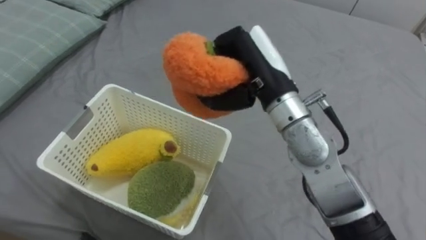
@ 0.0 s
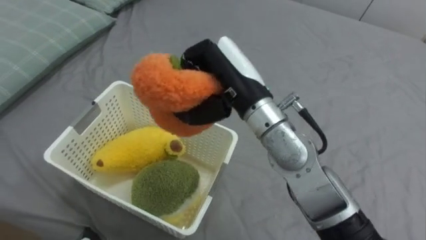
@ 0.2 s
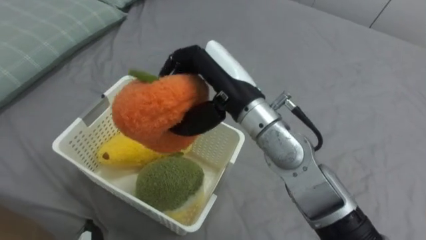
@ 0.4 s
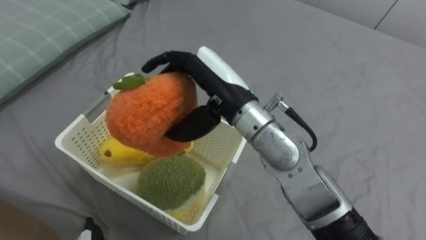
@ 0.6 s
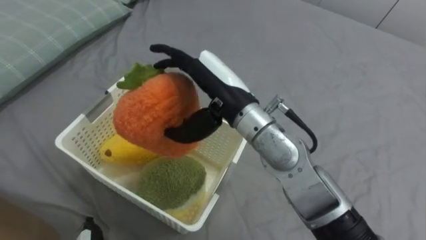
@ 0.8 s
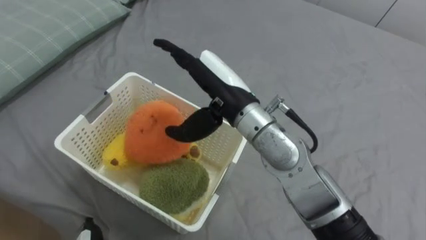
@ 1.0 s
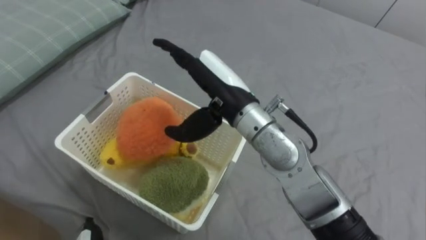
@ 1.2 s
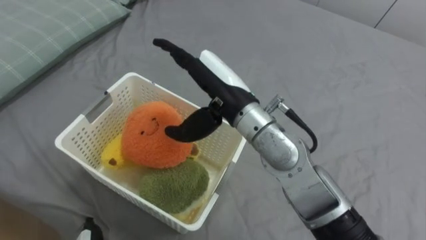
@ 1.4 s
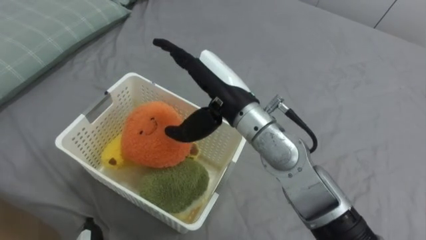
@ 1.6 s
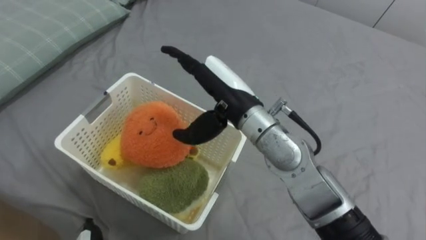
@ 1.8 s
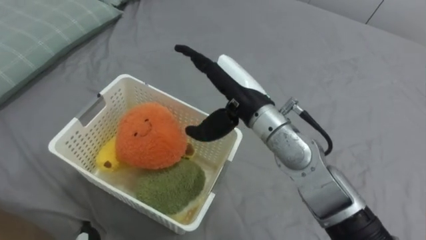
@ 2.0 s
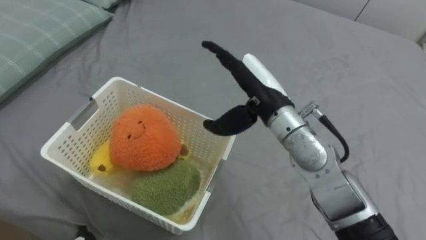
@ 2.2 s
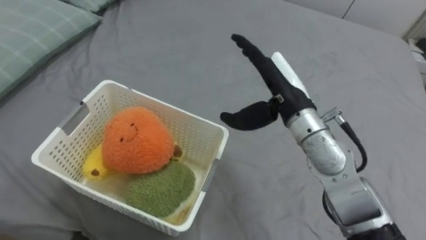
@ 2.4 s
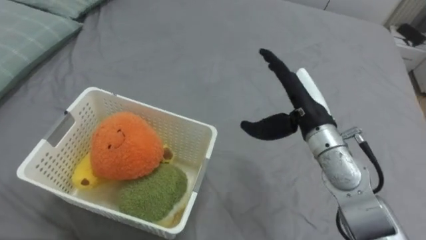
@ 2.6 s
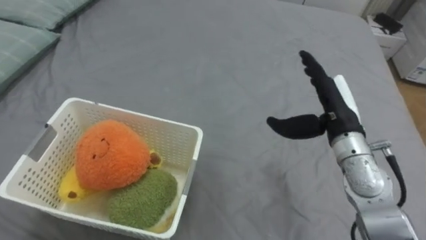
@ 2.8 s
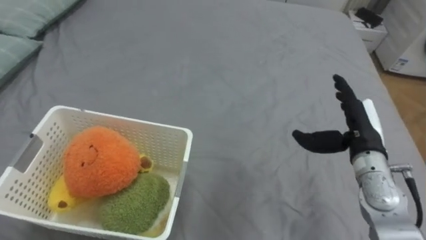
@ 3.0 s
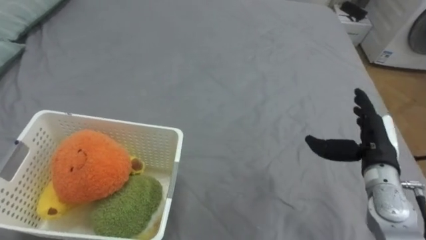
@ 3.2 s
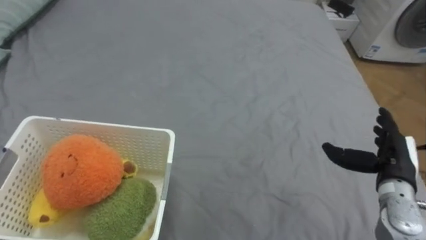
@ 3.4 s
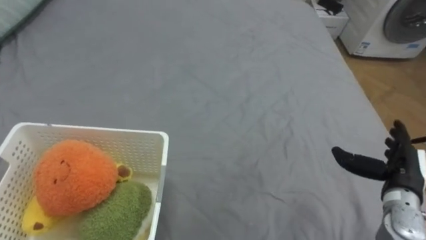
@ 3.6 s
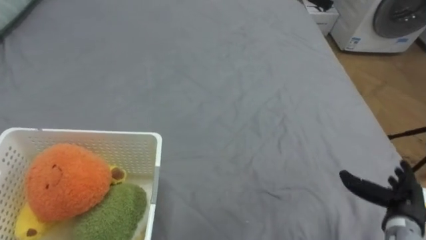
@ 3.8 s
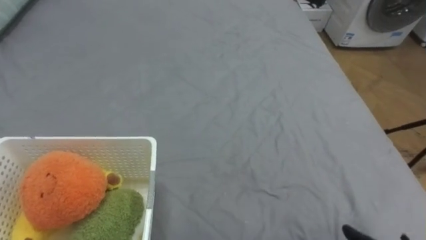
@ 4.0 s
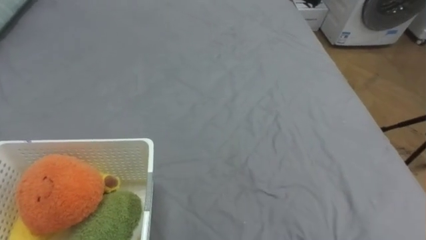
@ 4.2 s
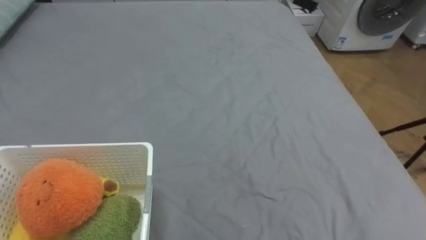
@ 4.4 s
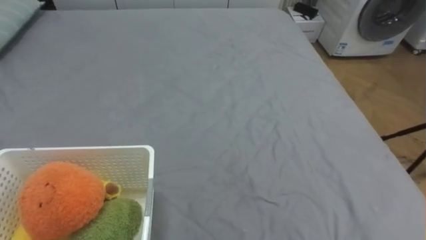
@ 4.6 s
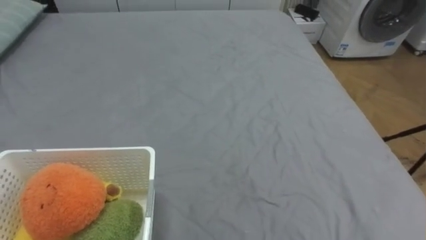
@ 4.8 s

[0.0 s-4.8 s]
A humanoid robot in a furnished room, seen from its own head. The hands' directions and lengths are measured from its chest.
Task of the whole recording: Put the toys on the bed into the basket on the left.
0.0 to 1.6 s: The right hand shifts approximately 5 cm to the left, and opens up.
1.6 to 3.2 s: The right hand is displaced to the right and downward by about 30 cm.

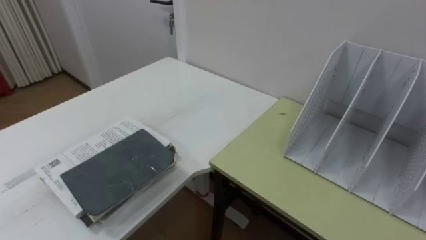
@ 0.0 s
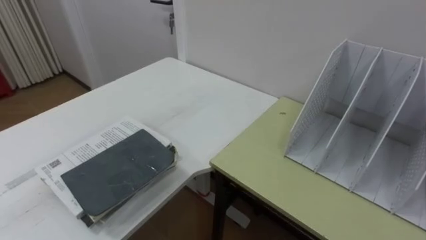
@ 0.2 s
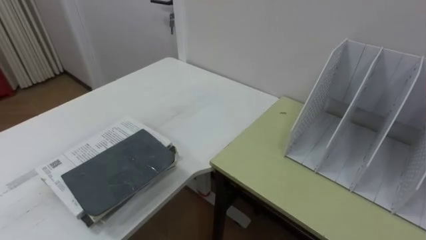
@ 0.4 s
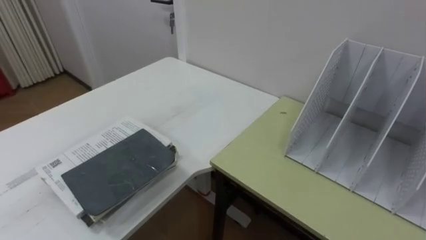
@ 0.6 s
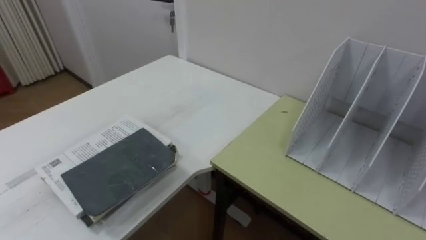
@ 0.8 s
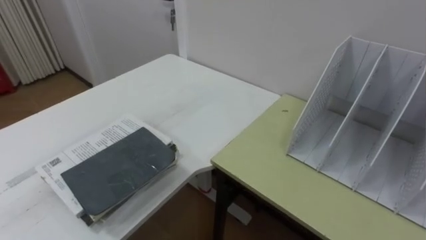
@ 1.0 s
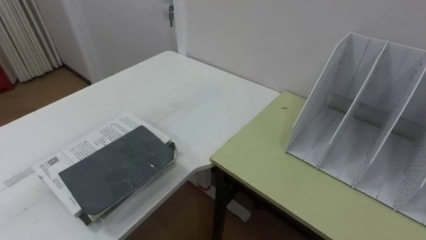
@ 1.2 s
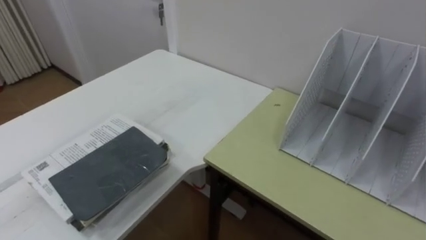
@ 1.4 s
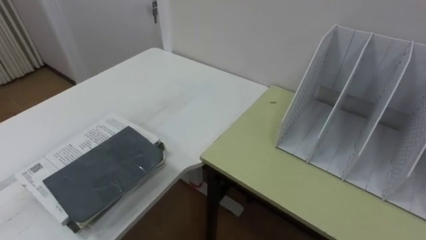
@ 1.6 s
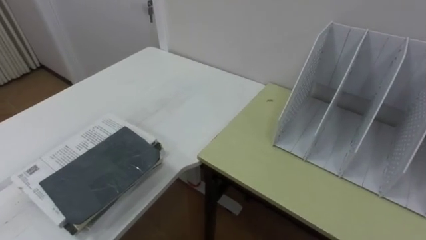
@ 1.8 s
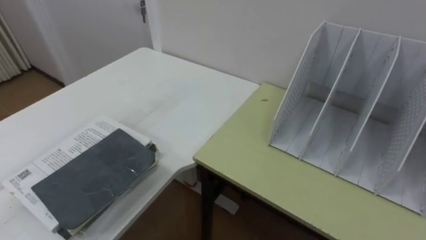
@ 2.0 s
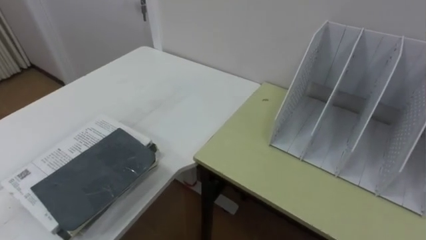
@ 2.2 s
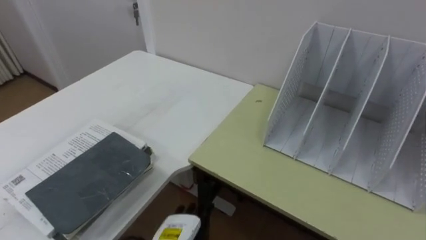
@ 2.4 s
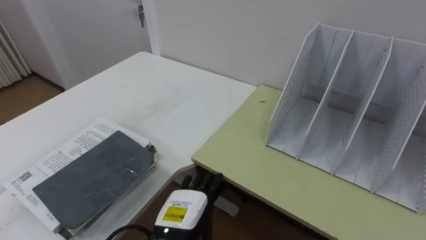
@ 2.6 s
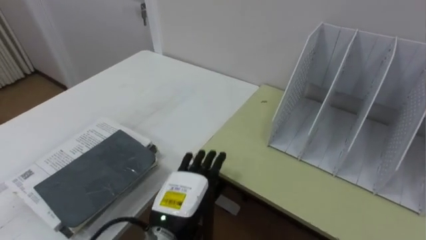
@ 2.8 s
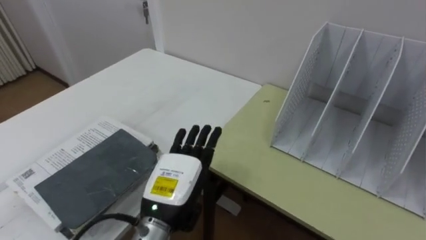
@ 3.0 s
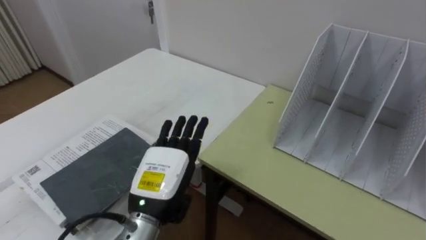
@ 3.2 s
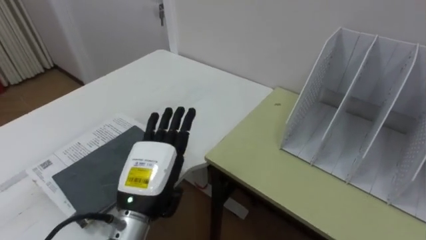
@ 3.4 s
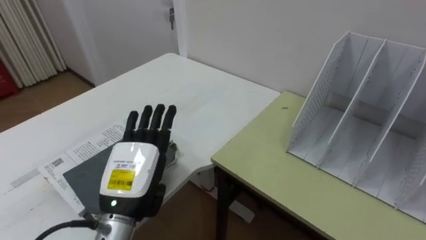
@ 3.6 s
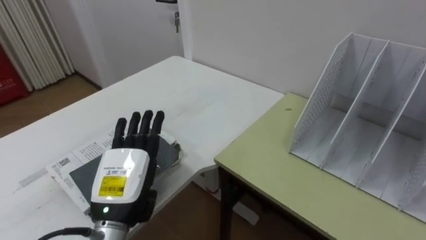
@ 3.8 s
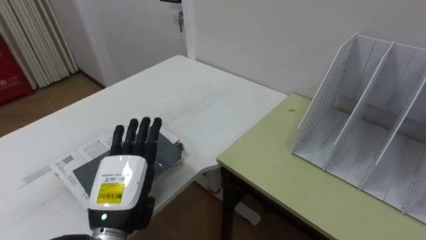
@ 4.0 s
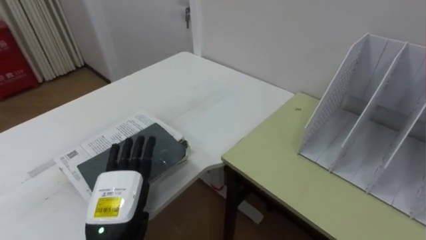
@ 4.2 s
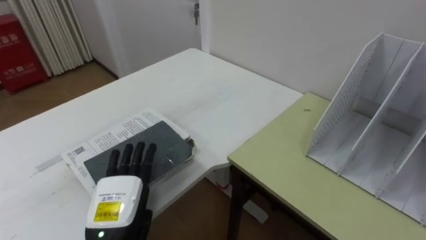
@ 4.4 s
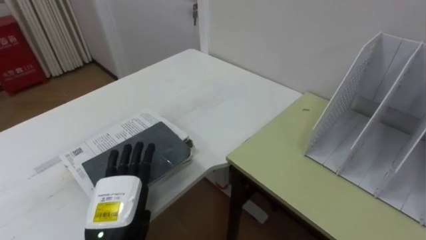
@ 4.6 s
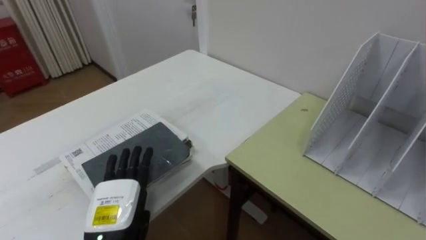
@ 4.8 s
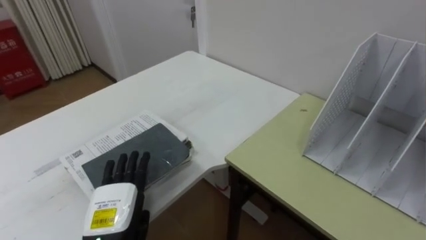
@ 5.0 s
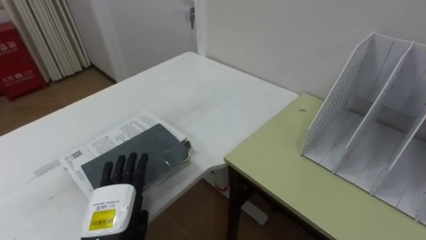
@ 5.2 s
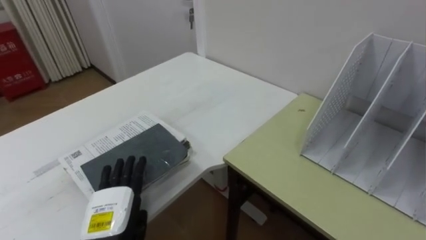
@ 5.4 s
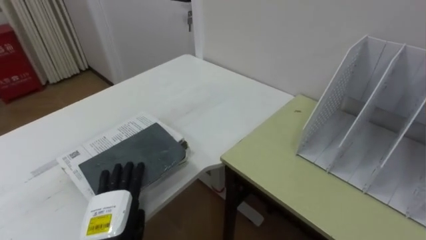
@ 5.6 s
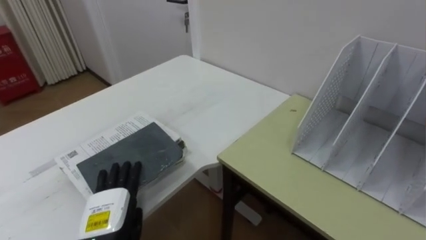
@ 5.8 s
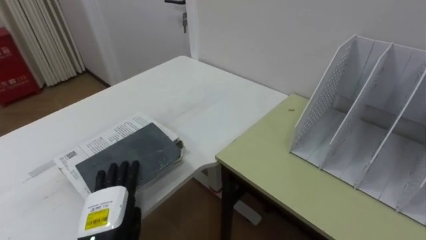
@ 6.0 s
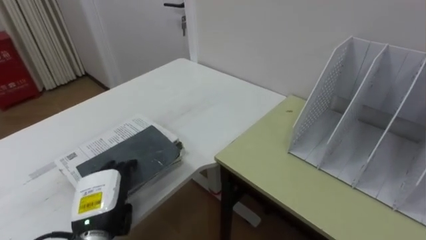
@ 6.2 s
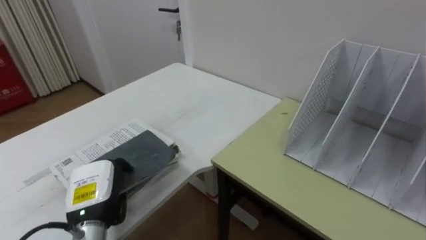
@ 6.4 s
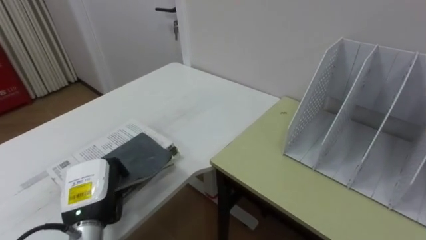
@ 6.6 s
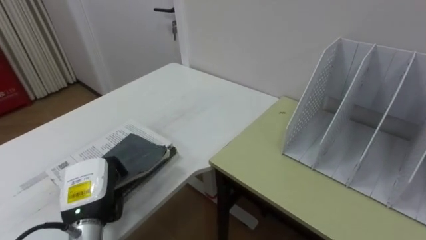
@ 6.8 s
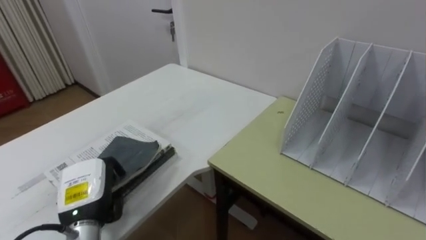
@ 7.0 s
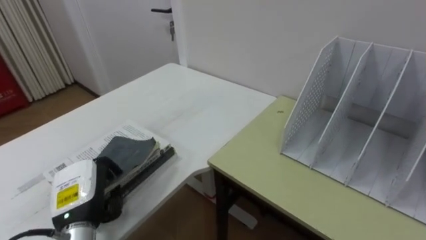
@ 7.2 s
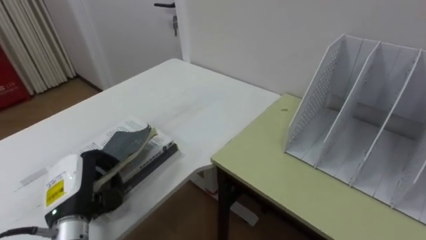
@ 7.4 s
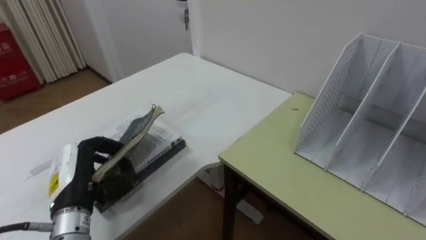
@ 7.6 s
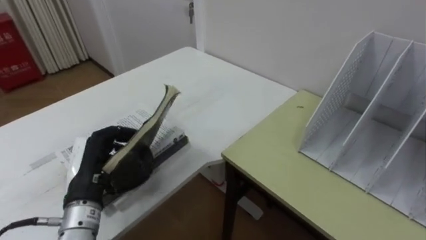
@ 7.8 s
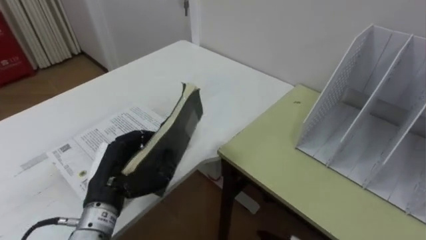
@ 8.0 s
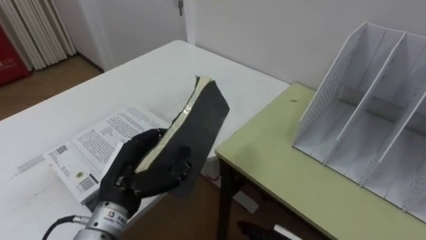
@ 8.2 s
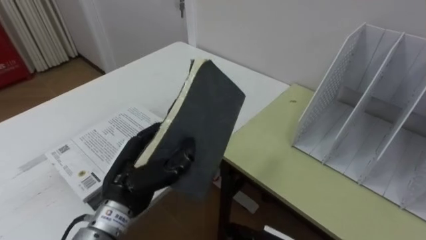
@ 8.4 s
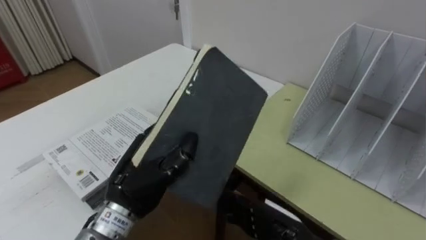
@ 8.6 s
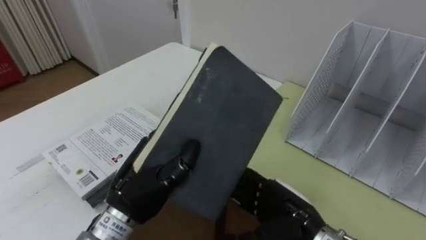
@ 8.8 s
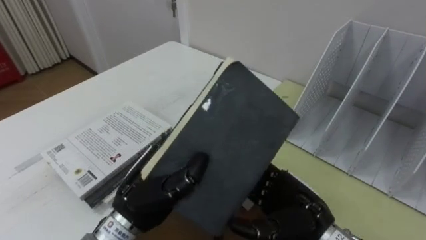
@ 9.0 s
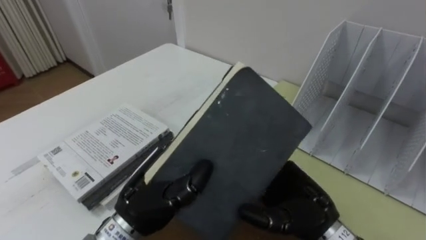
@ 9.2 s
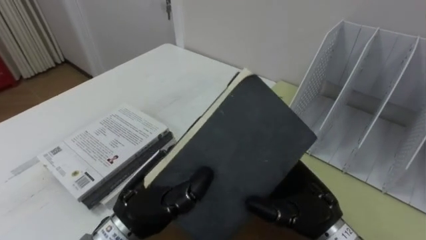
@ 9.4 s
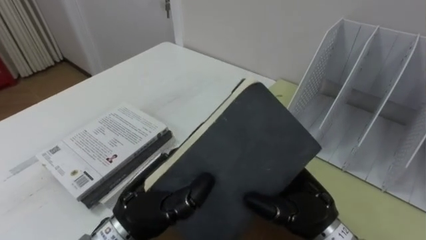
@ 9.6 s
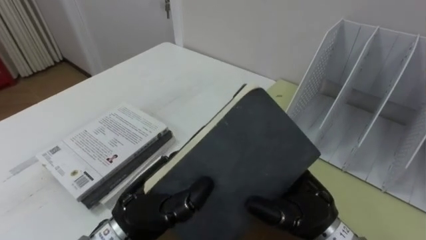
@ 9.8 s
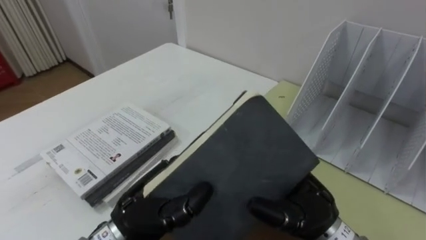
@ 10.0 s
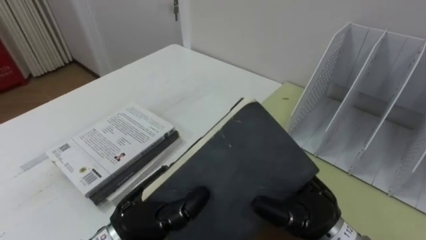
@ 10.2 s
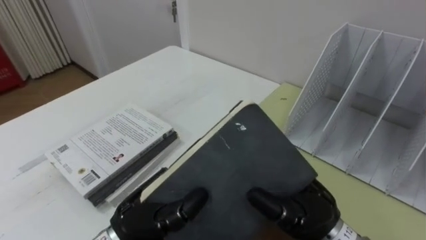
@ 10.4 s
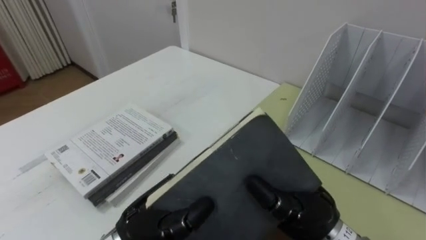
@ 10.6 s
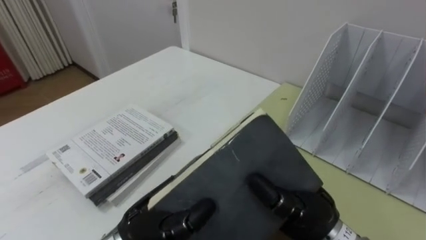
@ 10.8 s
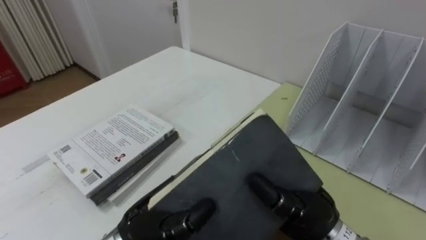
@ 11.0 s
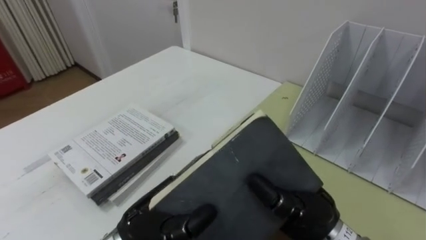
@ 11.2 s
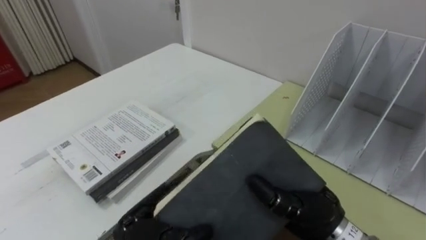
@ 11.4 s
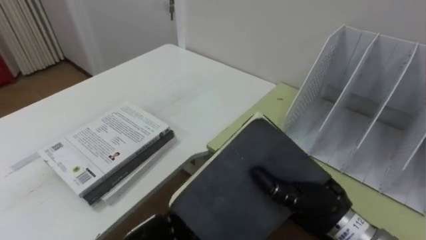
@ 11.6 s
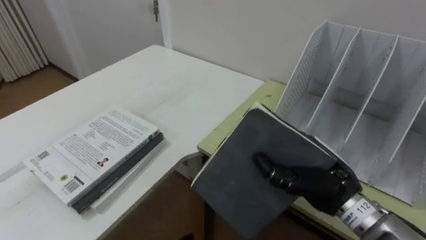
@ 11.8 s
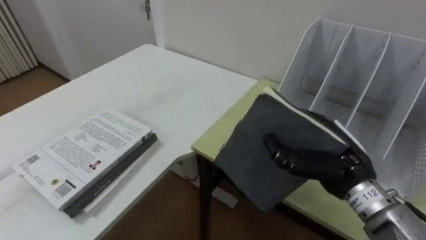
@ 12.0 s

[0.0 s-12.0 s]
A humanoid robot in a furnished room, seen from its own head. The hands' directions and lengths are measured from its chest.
Task of the whole recording: Put the books on the table onto the bookshelf.
3.0 to 4.4 s: The left hand travels to the left by roughly 10 cm.
4.4 to 6.0 s: The left hand moves some 5 cm.
6.0 to 7.6 s: The left hand shifts roughly 10 cm upward, and closes.
7.6 to 9.0 s: The left hand shifts some 15 cm to the right.
9.0 to 10.4 s: The right hand travels upward by about 5 cm, and closes up.
10.4 to 12.0 s: The right hand heads to the right and forward, covering roughly 10 cm.
